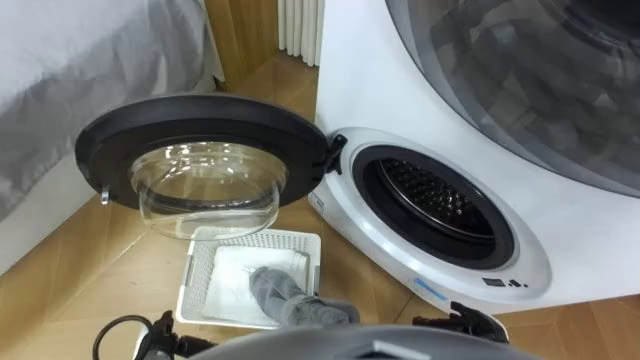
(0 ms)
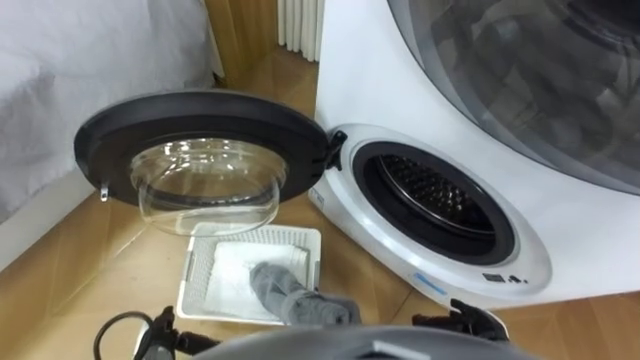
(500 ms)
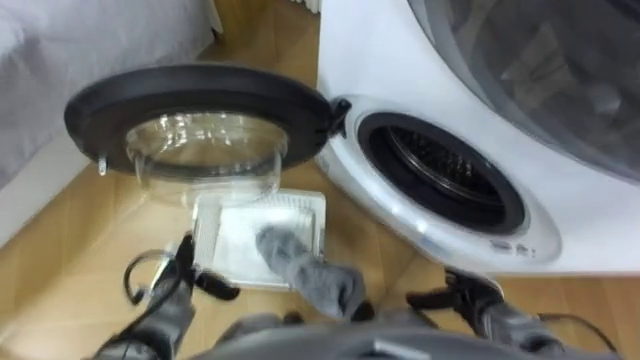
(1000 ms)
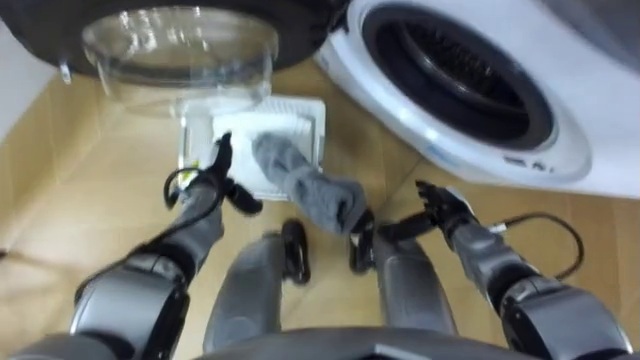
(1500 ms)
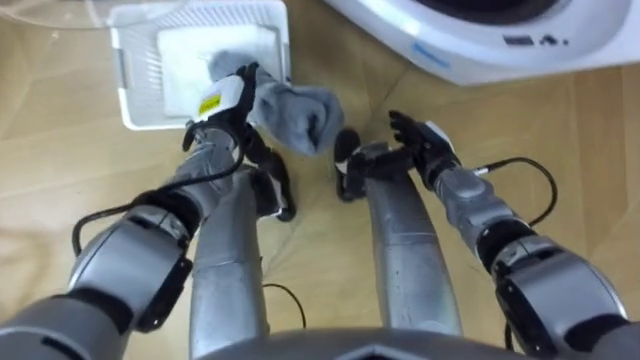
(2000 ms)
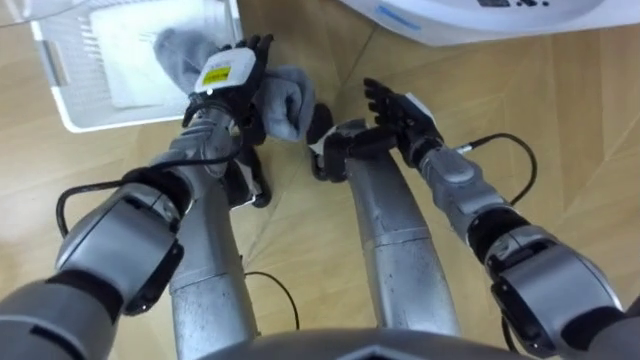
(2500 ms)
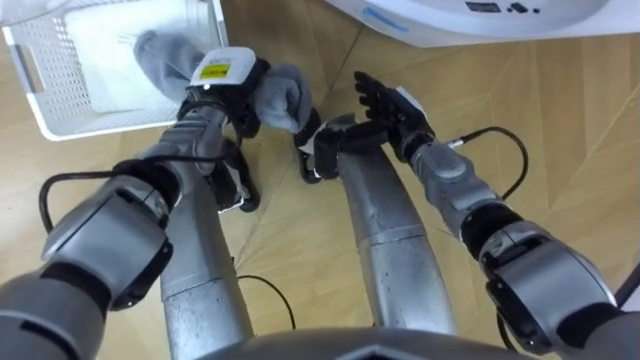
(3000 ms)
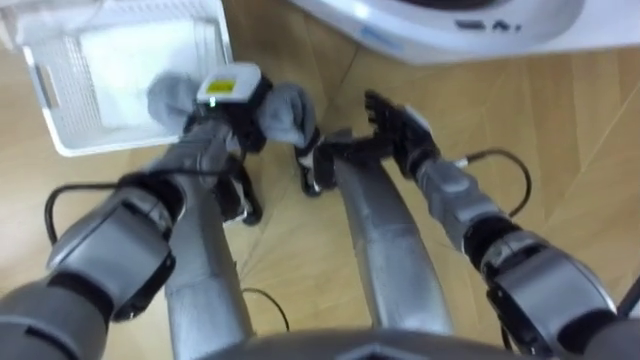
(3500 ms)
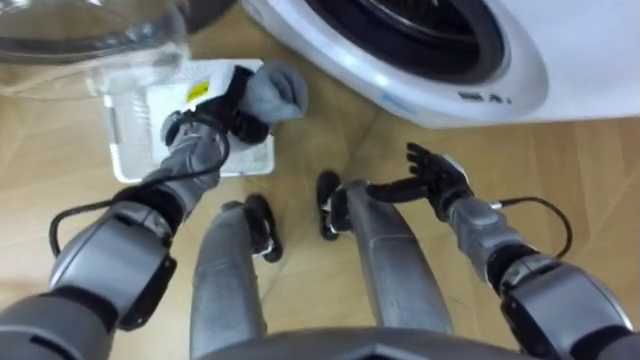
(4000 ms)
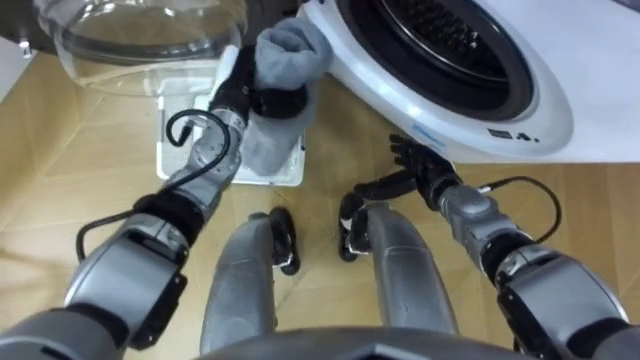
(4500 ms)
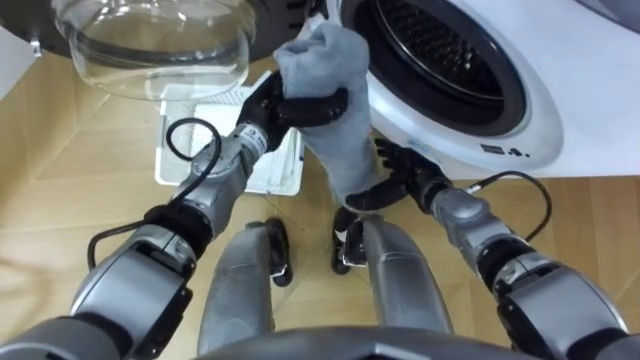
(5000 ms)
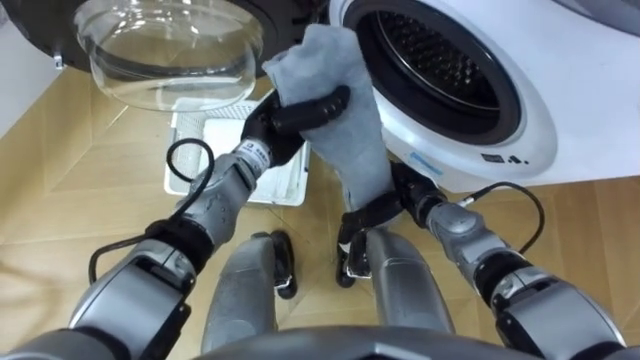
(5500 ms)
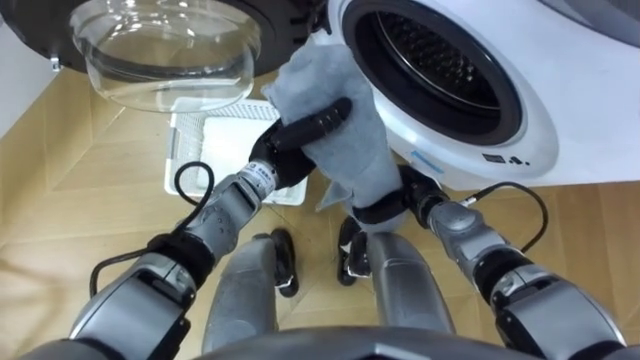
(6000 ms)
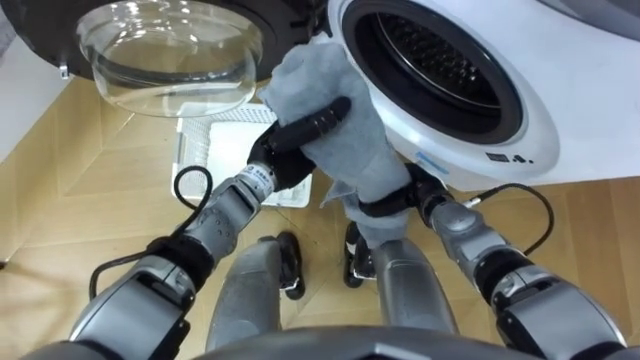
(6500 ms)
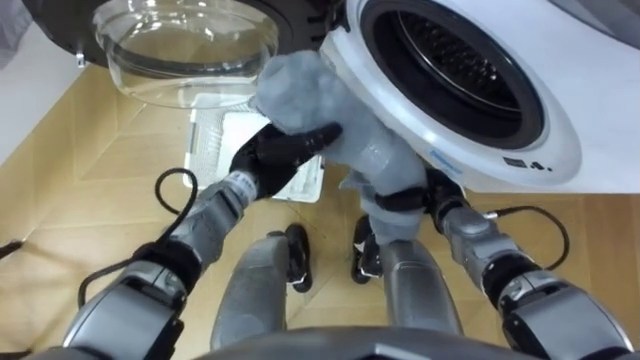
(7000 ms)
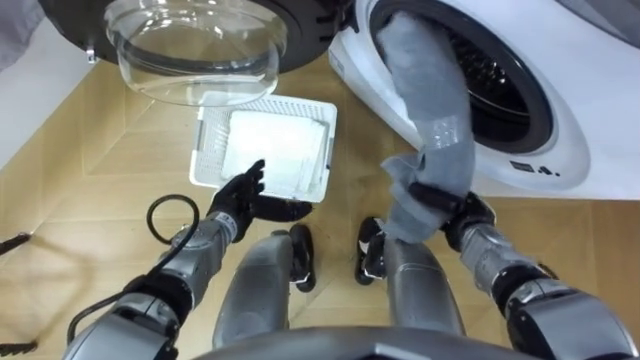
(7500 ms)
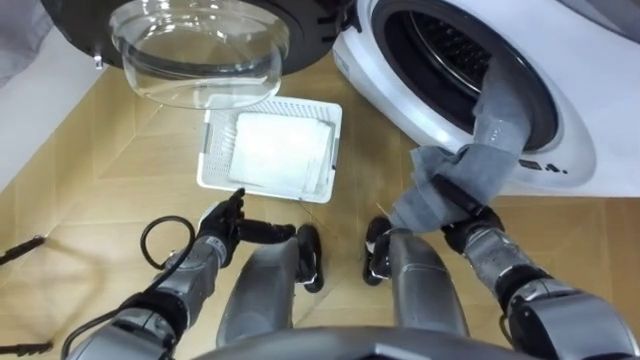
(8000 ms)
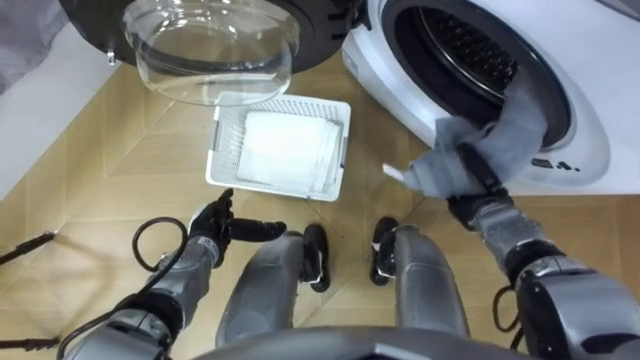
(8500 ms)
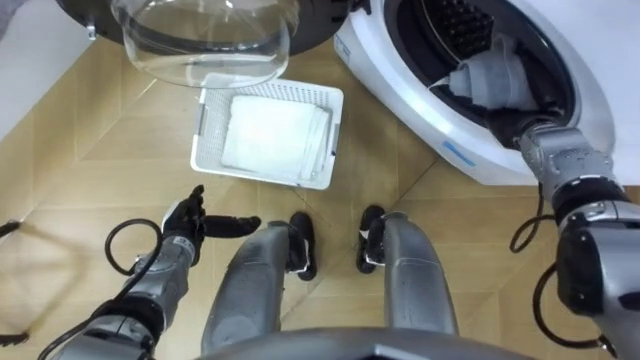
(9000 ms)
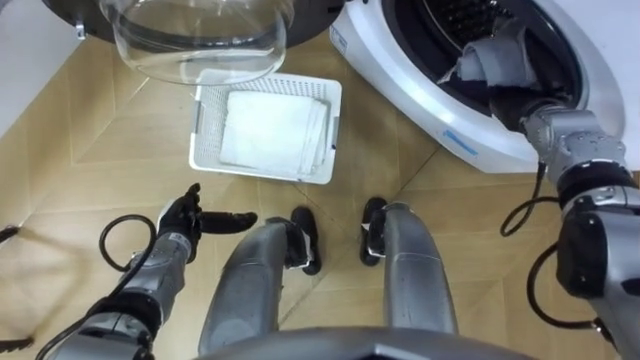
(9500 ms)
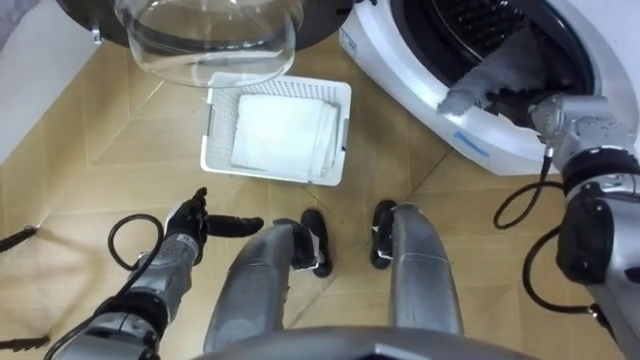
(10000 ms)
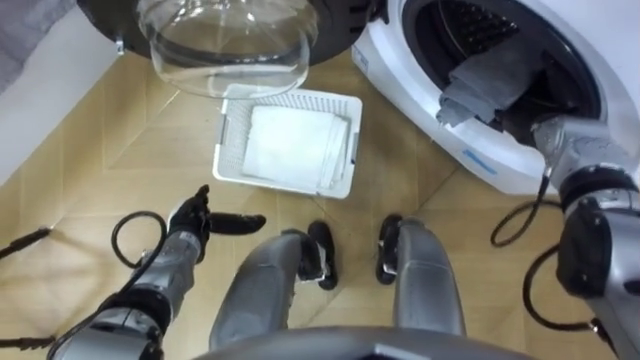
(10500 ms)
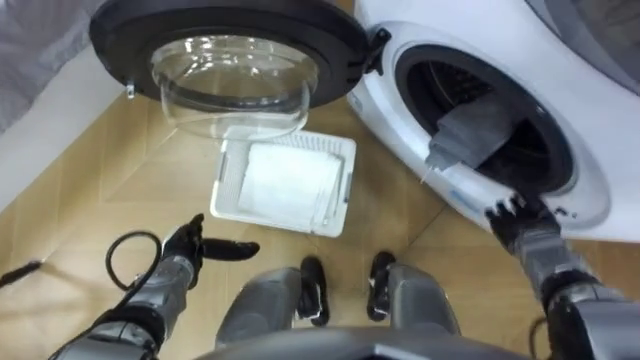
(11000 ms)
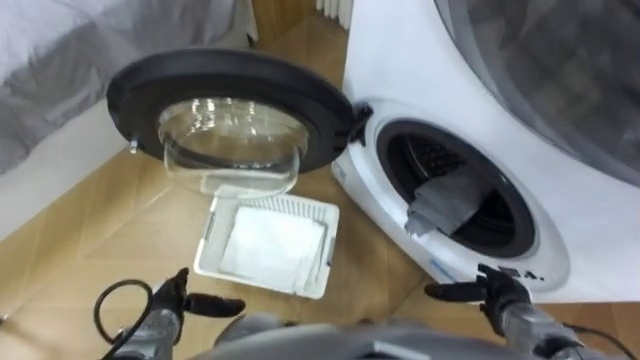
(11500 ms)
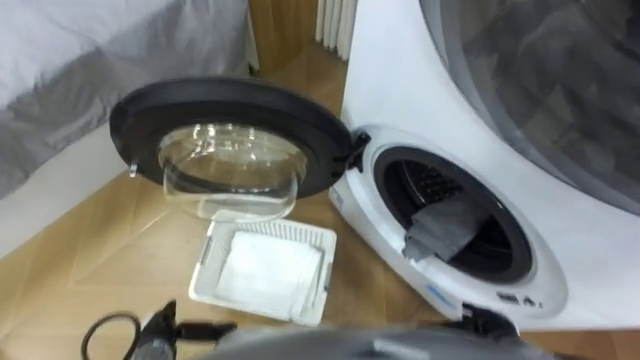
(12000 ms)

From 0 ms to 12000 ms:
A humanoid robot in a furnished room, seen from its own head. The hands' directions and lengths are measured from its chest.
Task of the whole recording: Take the towel from the basket and put it into the washing machine.
From 2000 ms to 4000 ms: The left hand closes, while the right hand moves about 5 cm.
From 4000 ms to 6000 ms: The right hand closes; the left hand moves to the right and backward, some 15 cm.
From 6000 ms to 8000 ms: The right hand goes roughly 10 cm to the right. Meanwhile the left hand is displaced downward, to the left and backward by about 20 cm, and opens its fingers.
From 8000 ms to 10000 ms: The right hand heads forward, upward and to the right, covering approximately 20 cm, and opens up. The left hand travels to the left by some 5 cm.
From 10000 ms to 12000 ms: The left hand shifts some 15 cm backward. The right hand heads backward and downward, covering some 35 cm.

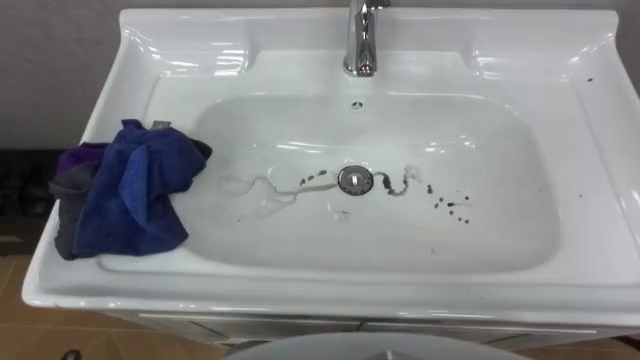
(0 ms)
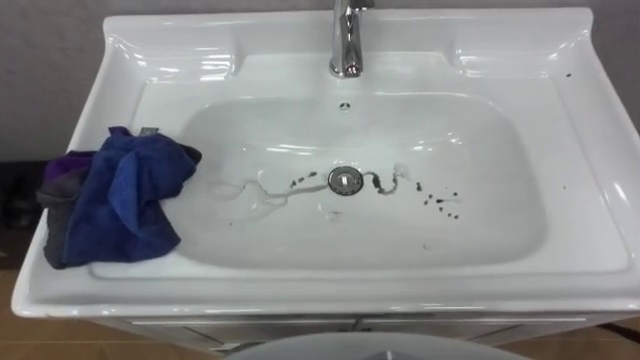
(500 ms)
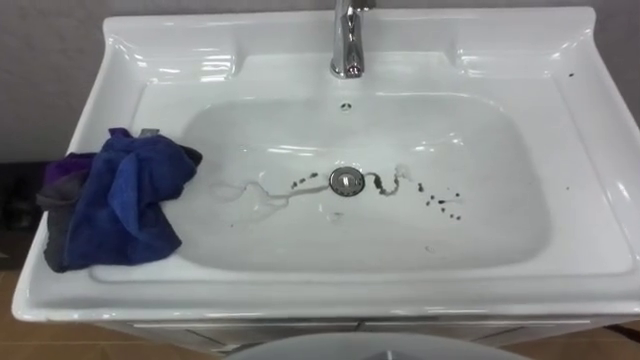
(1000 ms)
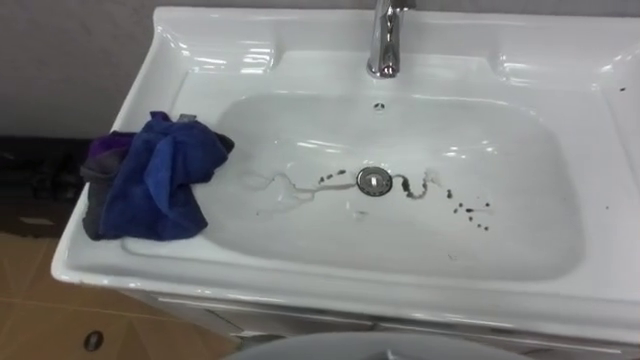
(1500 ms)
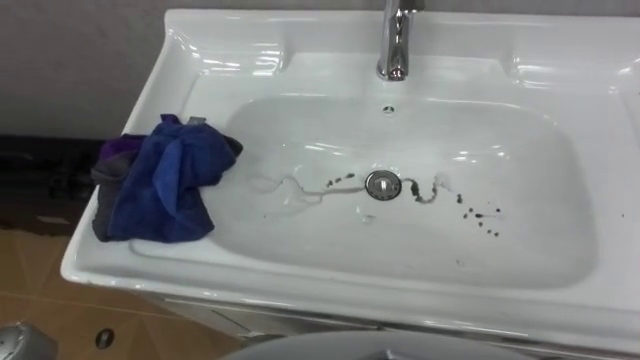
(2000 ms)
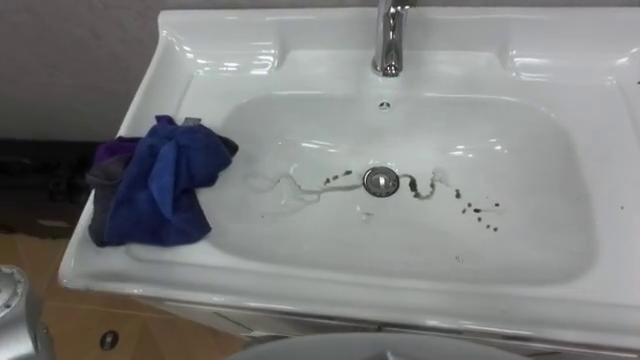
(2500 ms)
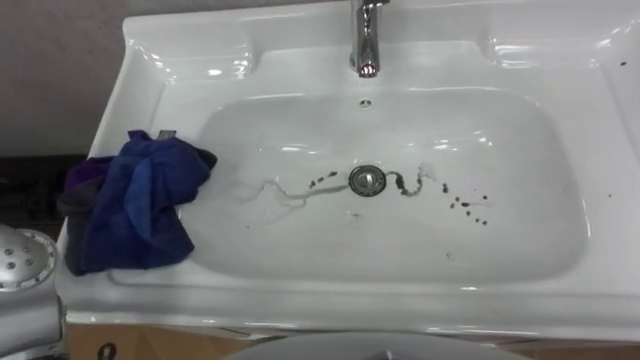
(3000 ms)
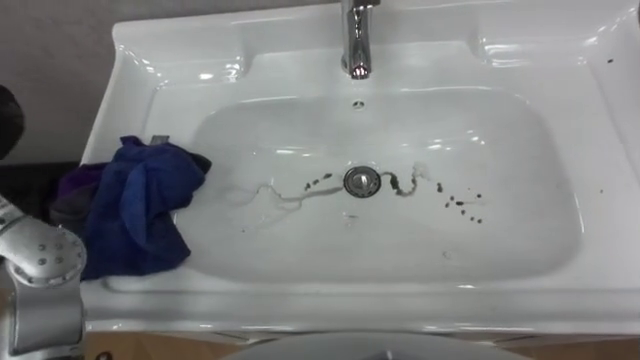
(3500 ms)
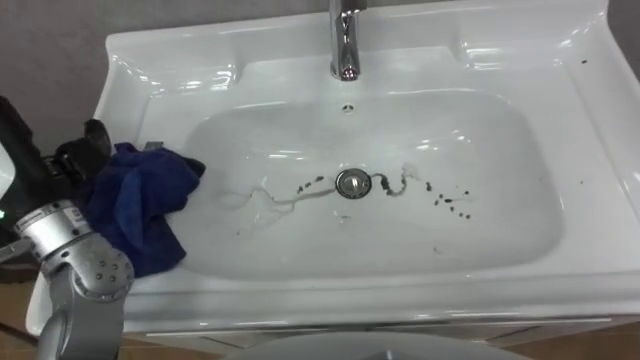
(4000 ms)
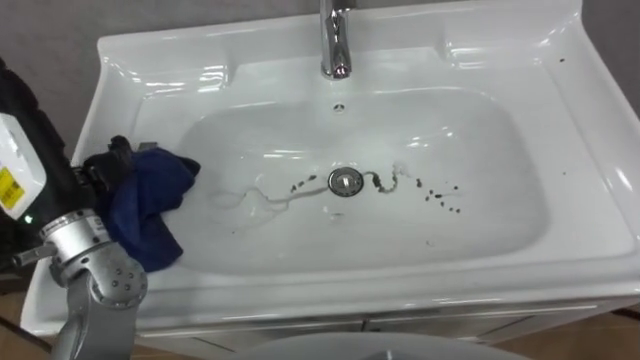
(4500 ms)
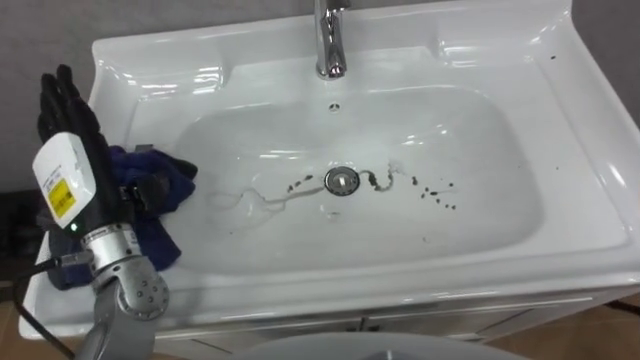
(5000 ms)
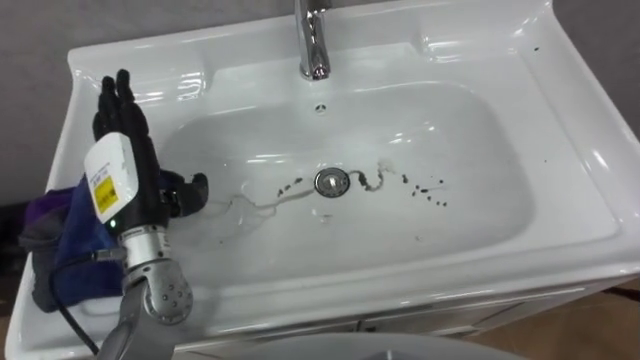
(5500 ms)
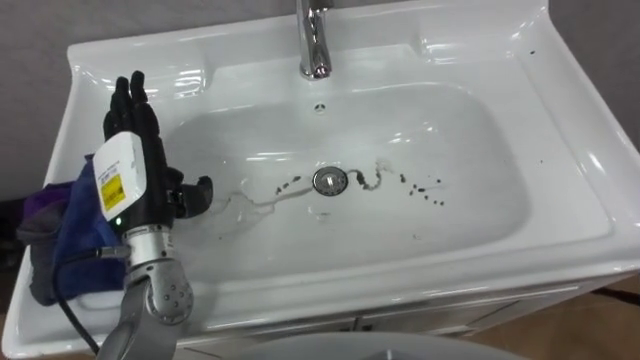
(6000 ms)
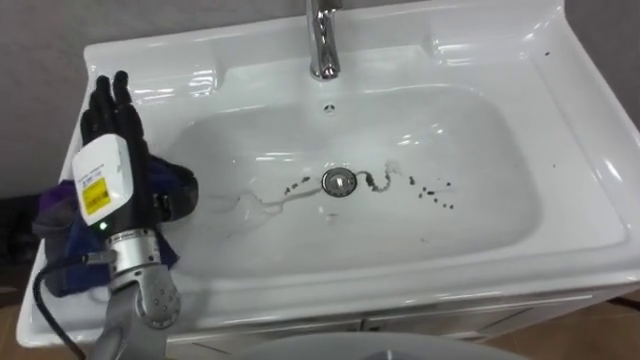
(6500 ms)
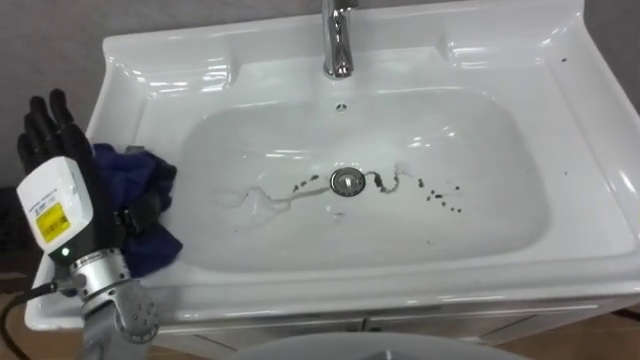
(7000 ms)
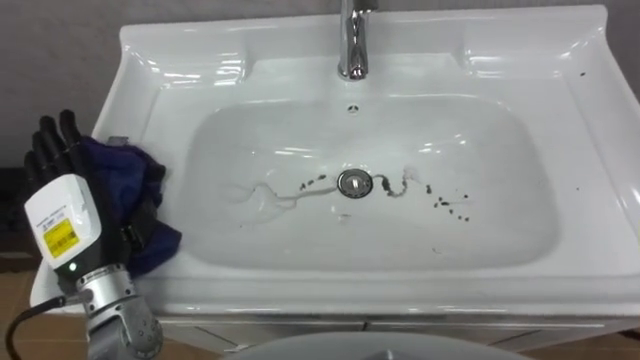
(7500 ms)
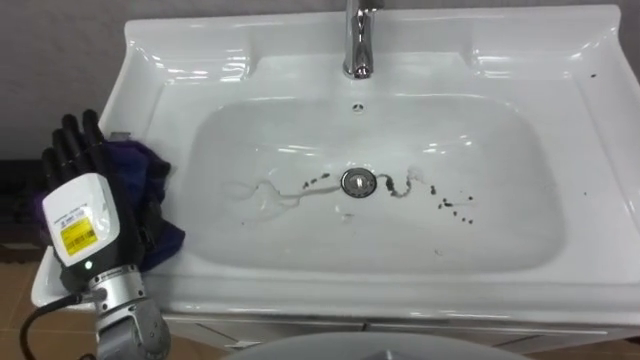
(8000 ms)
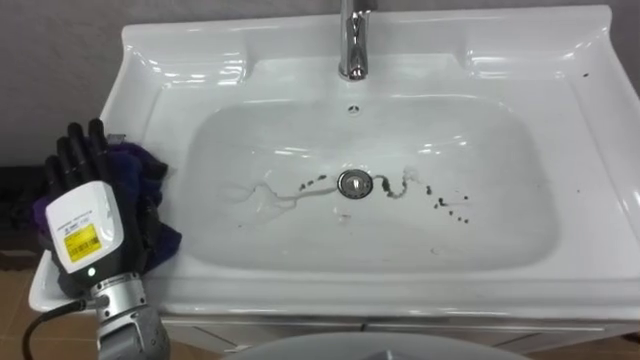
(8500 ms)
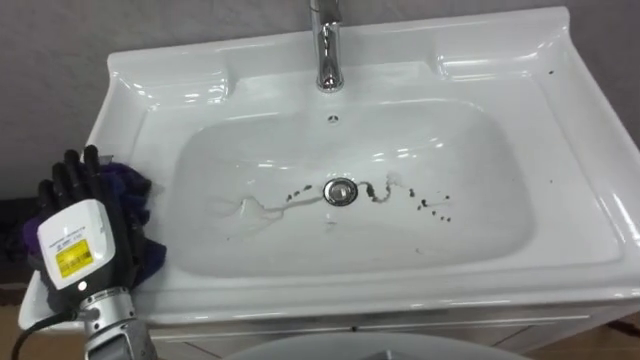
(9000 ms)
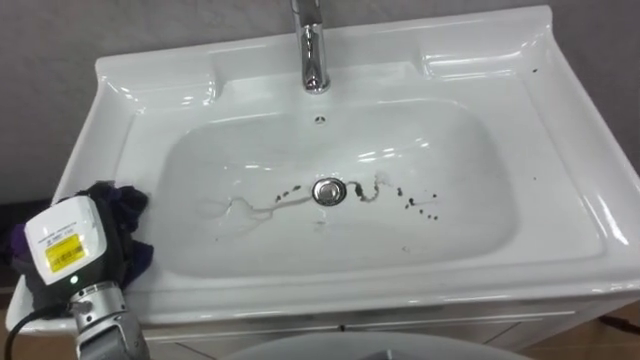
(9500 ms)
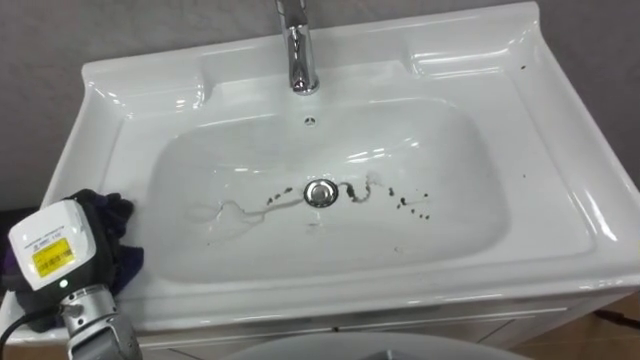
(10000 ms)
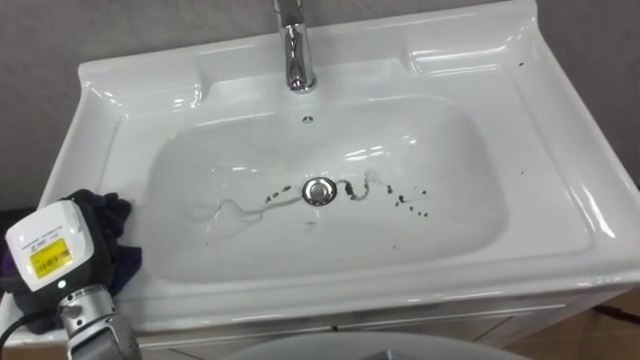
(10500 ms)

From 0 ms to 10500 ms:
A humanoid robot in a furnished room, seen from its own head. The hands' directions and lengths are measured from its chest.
Task of the whole recording: Use the cloth on the right to wipe away the black stain in the sink.
From 6500 ms to 8500 ms: The left hand ends up approximately 5 cm from where it was.
From 8500 ms to 10500 ms: The left hand shifts by approximately 5 cm, and closes up.
